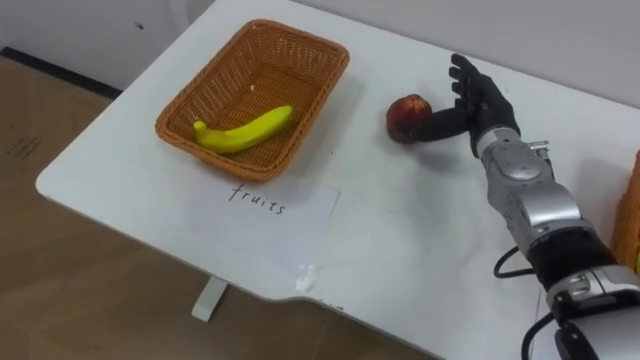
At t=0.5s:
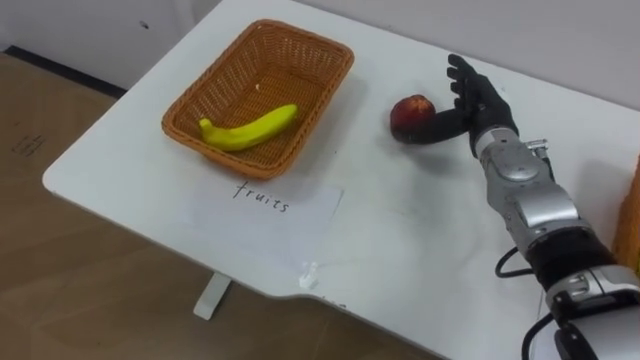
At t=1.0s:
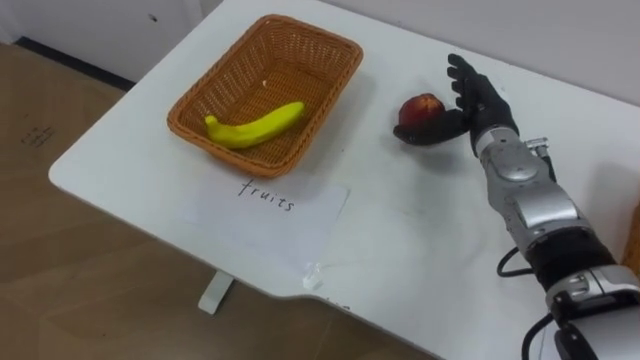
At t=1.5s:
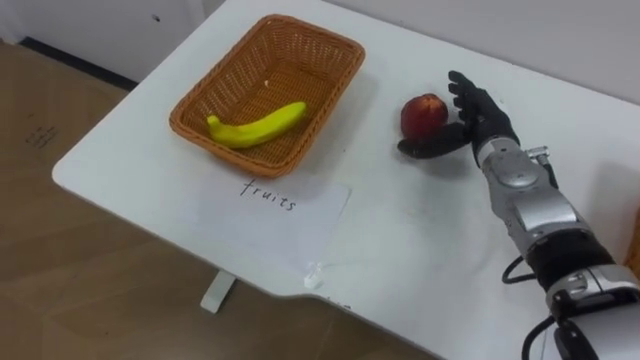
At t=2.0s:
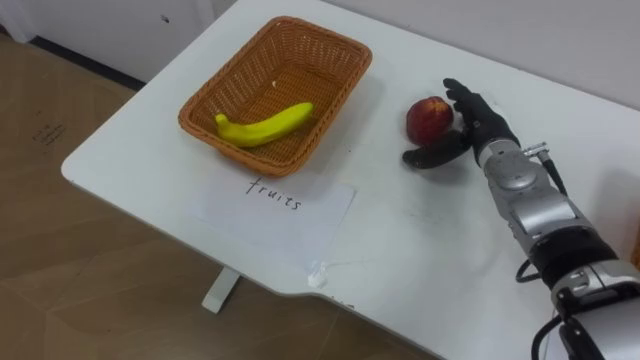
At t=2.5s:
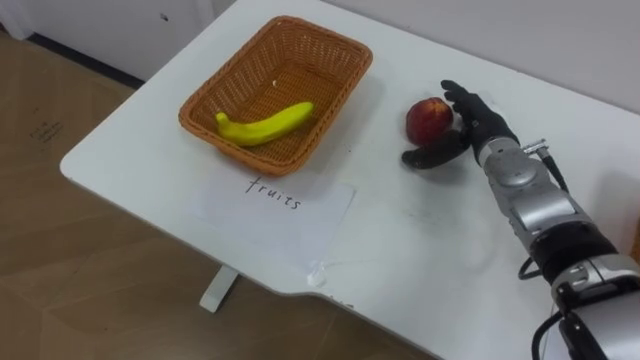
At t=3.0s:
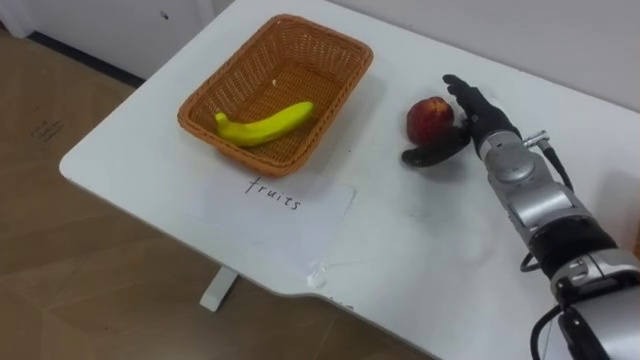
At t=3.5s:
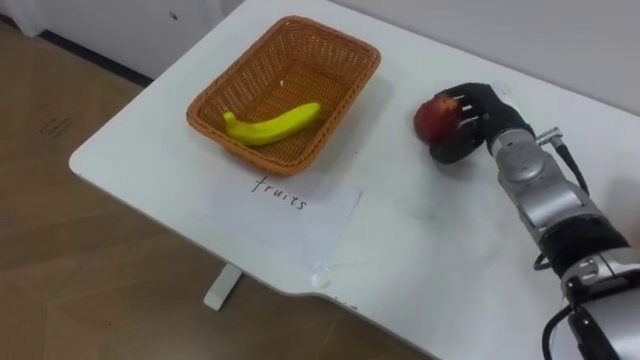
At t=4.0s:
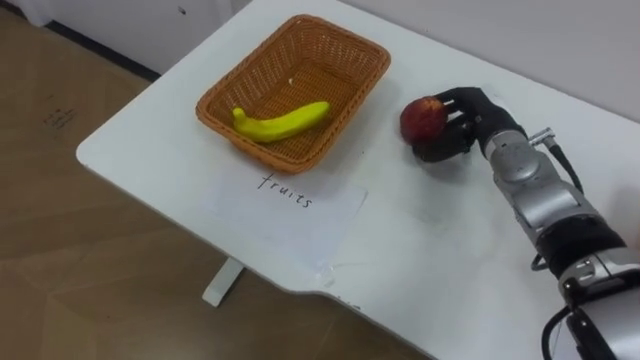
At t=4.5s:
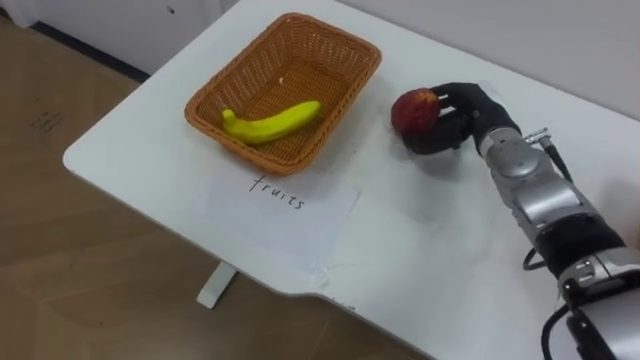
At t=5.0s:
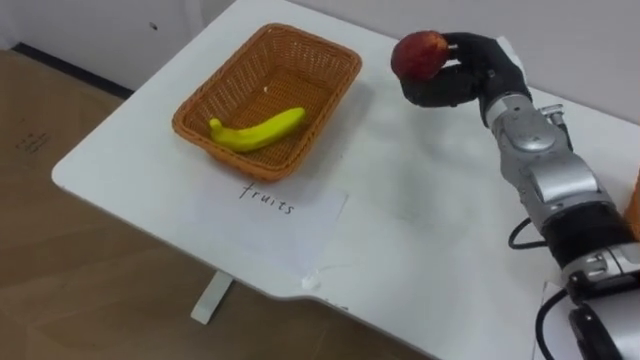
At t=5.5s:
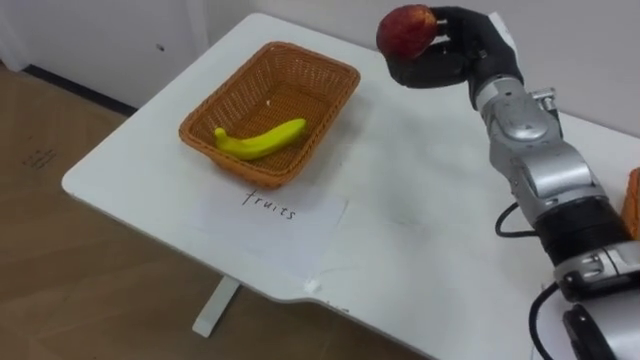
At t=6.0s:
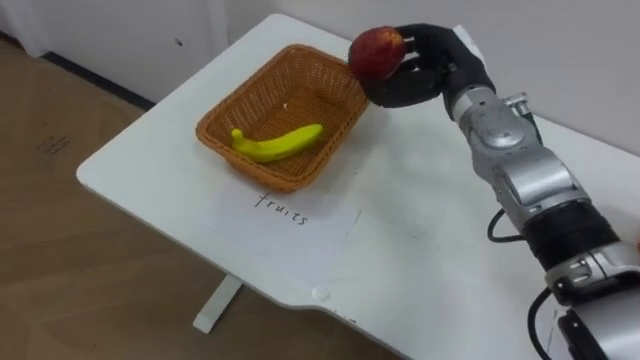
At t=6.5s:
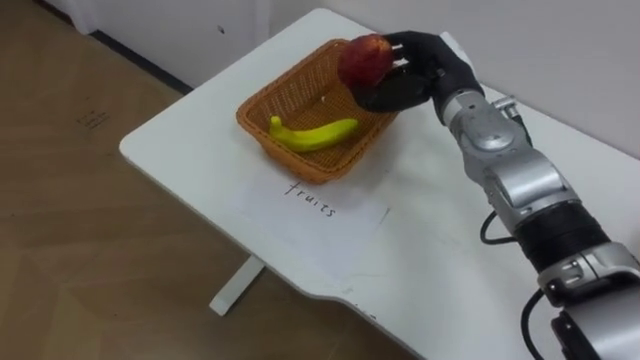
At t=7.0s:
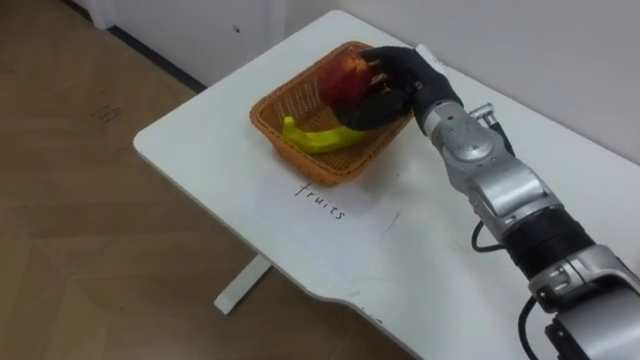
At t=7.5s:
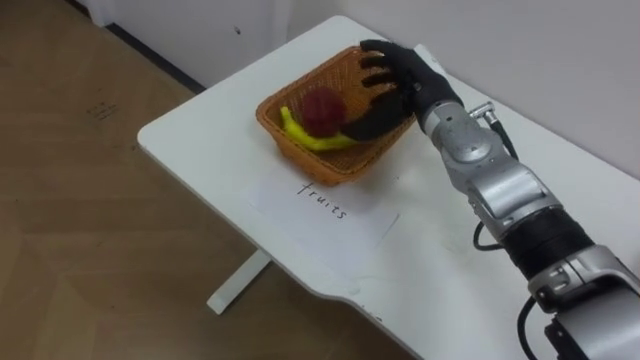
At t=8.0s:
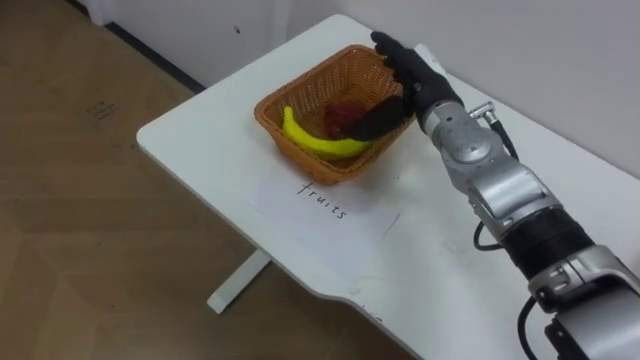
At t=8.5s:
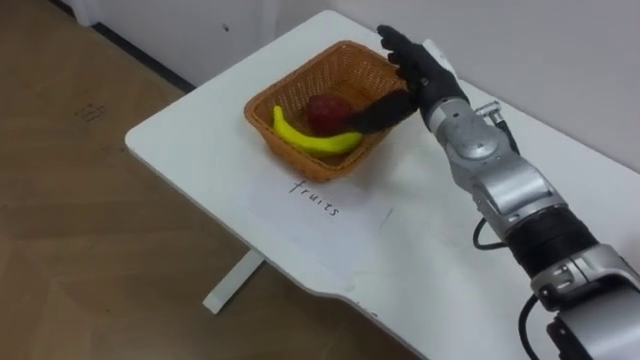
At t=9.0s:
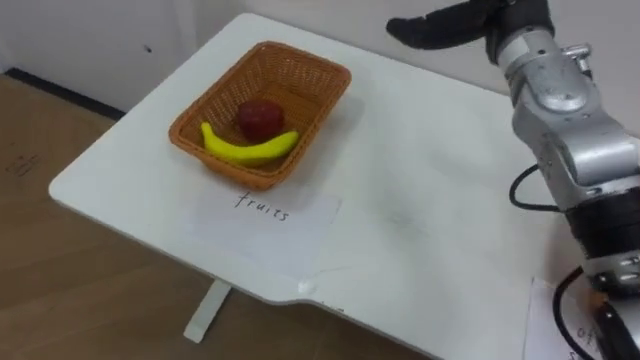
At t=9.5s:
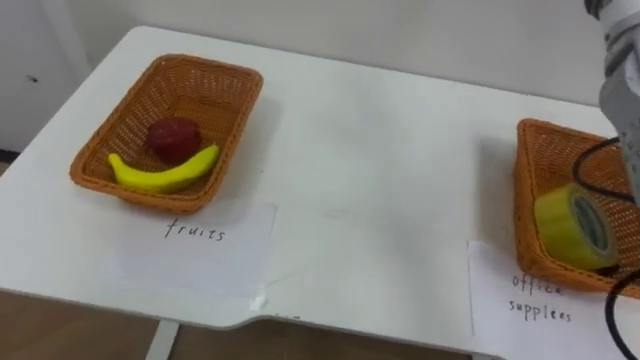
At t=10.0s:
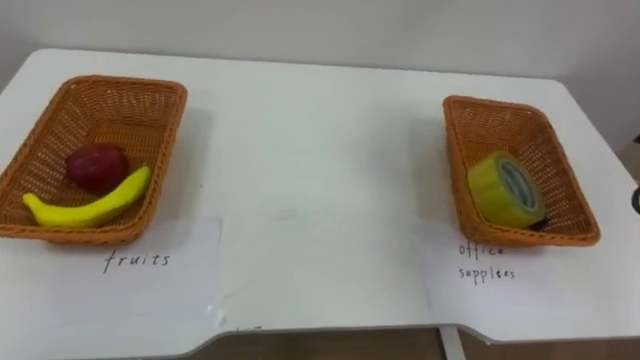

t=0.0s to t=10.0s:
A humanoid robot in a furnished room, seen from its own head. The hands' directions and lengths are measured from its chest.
Task of the whole recording: Separate the items on the table and place them into the two baskets.
t=2.0s to t=4.0s: The right hand closes its fingers.
t=4.0s to t=6.0s: The right hand moves upward and to the left, some 10 cm.
t=6.0s to t=8.0s: The right hand opens.

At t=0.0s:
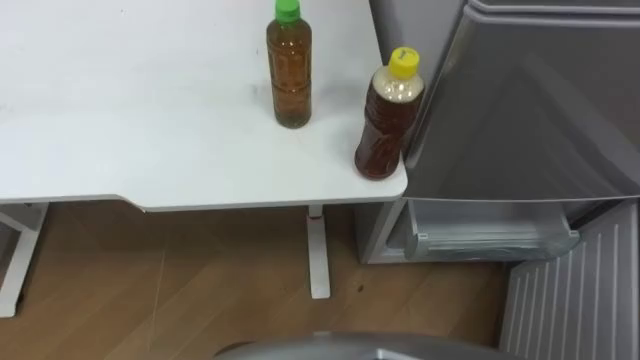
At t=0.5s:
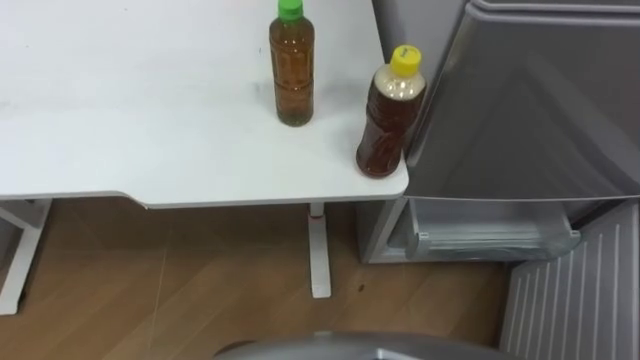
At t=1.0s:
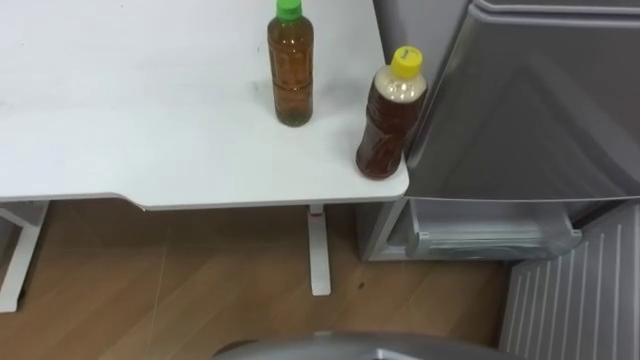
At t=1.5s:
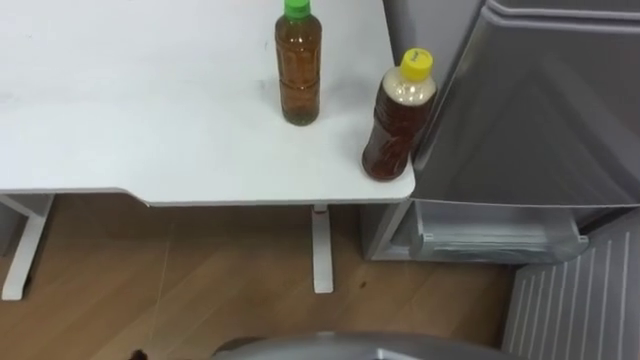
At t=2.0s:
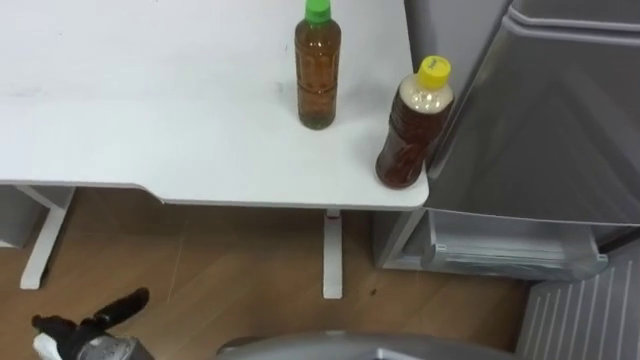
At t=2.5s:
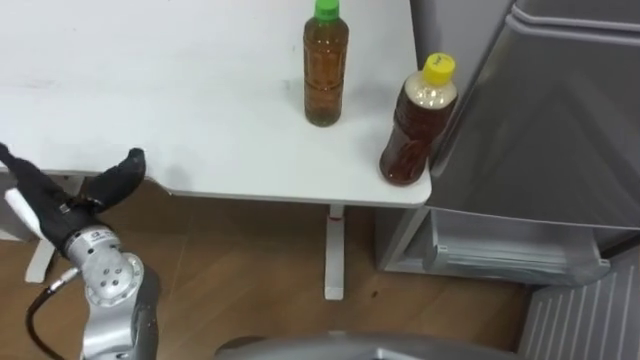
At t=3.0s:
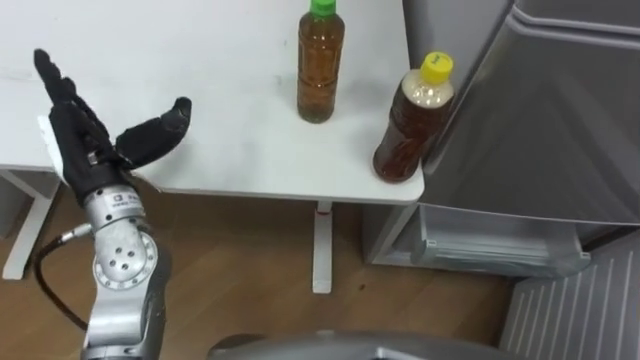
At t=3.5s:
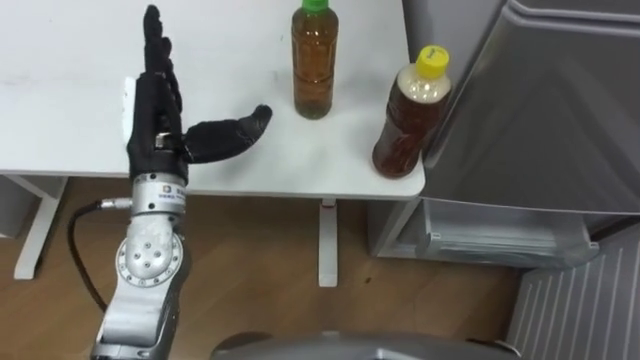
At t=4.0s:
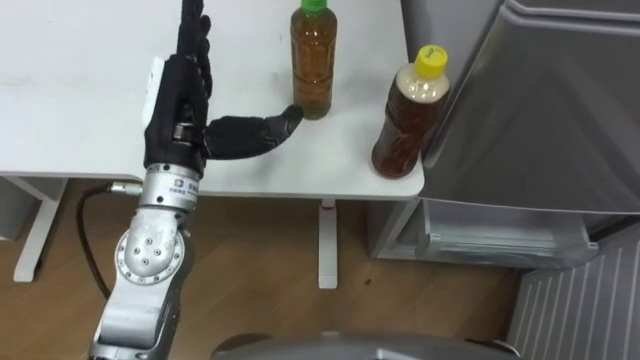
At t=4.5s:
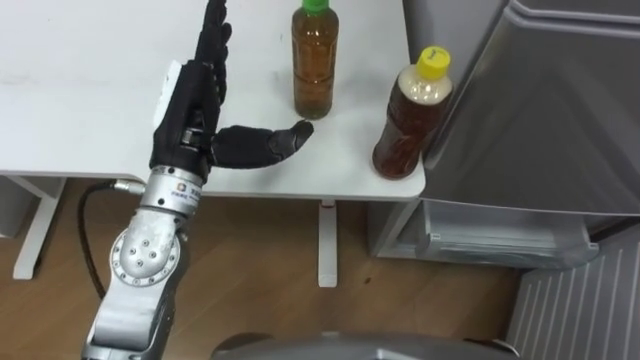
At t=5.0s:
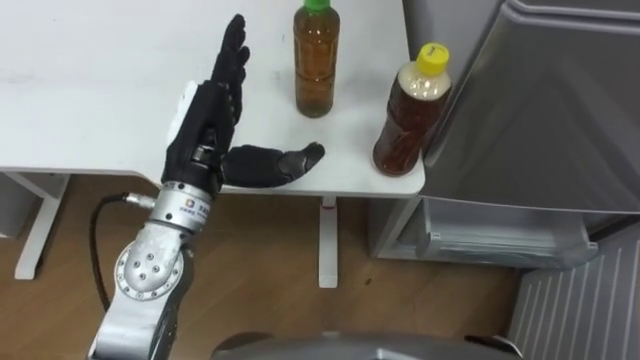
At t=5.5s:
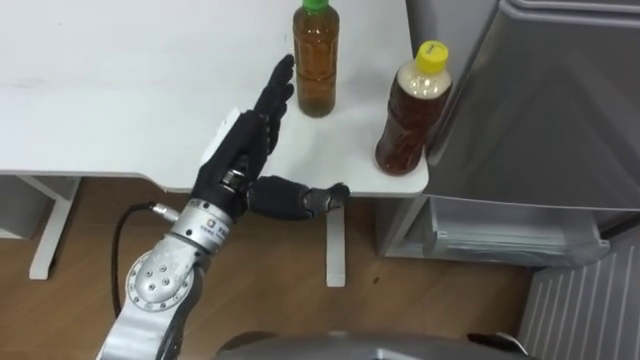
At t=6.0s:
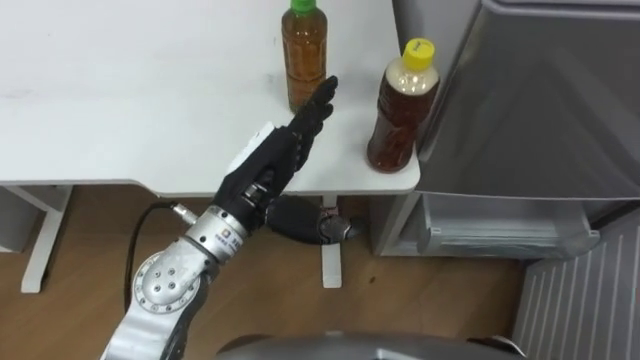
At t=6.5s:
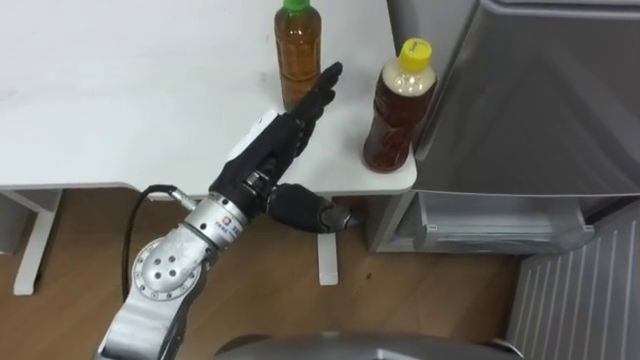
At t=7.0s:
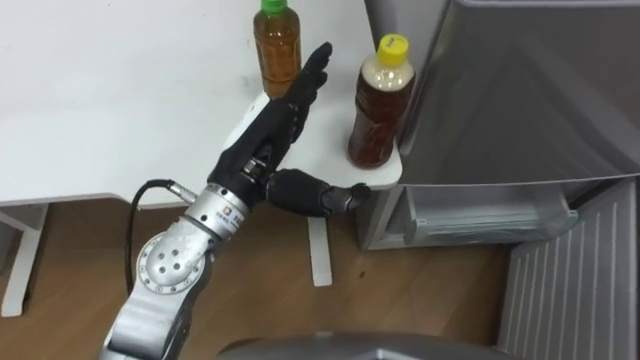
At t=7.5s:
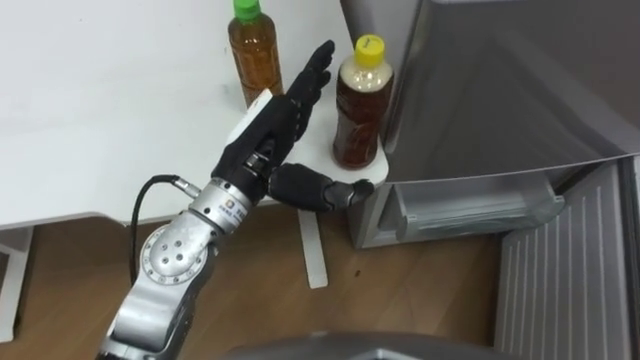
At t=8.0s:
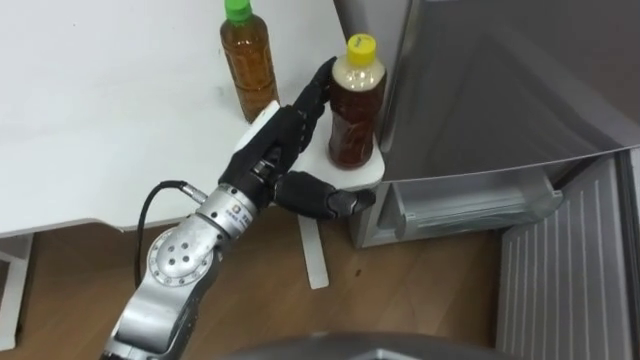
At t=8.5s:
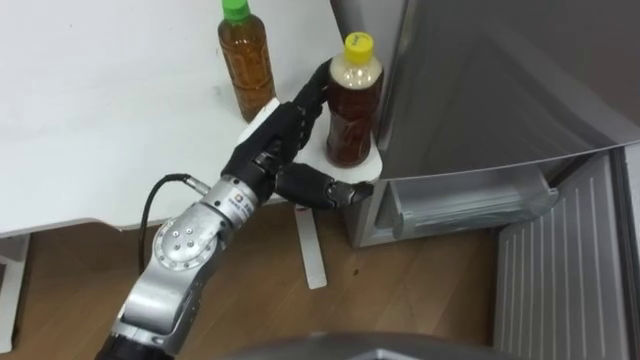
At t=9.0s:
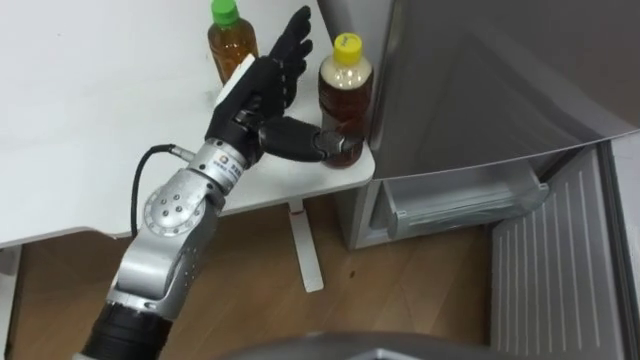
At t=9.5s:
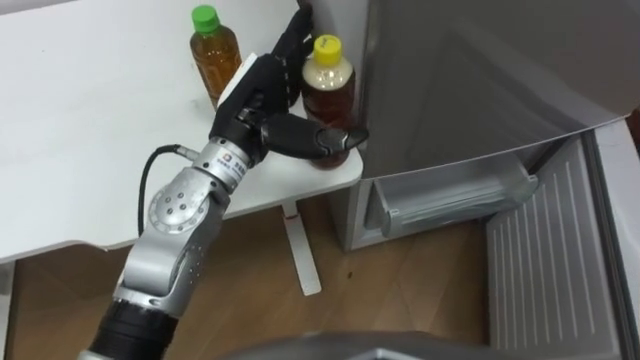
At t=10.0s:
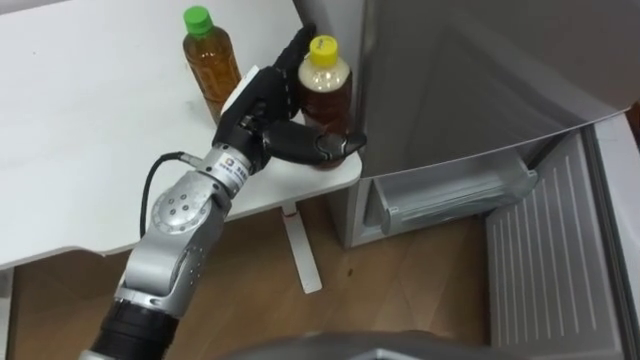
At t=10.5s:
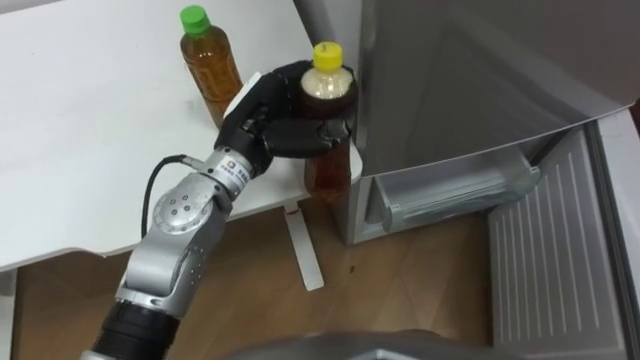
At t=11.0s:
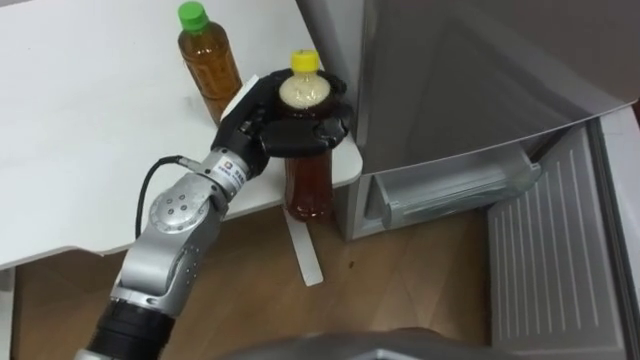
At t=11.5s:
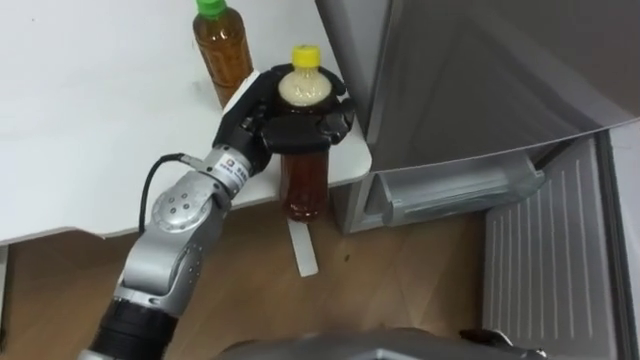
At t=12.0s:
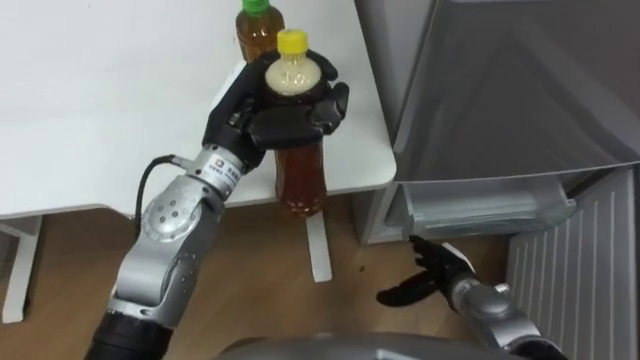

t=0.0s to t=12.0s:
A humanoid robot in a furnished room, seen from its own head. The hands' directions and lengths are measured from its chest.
Task of the whole recording: Place the drink on the table on the bottom shelf of the refrigerator, then close the drawer and the refrigerator door.
t=2.0s to t=4.0s: The left hand heads upward, forward and to the right, covering some 35 cm.
t=4.0s to t=6.0s: The left hand travels to the right by some 10 cm.
t=10.0s to t=12.0s: The left hand closes its fingers.
